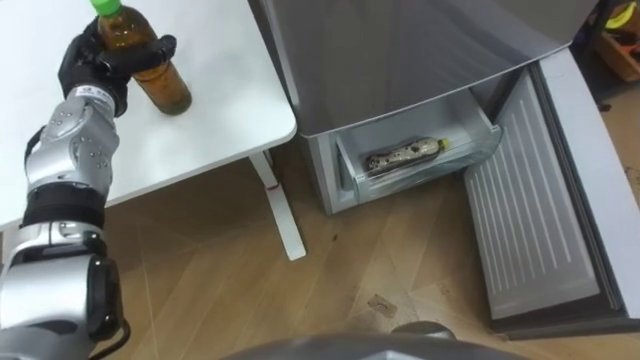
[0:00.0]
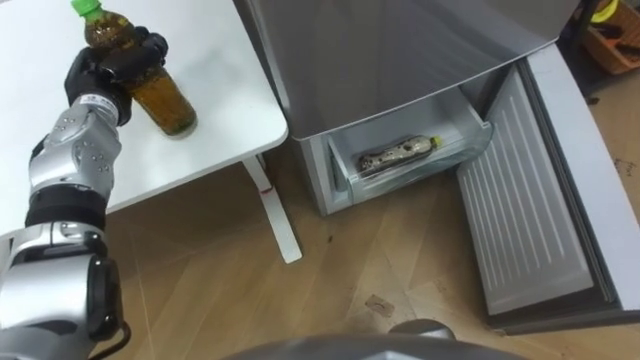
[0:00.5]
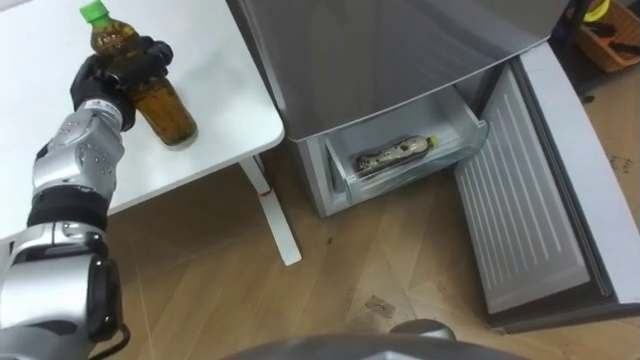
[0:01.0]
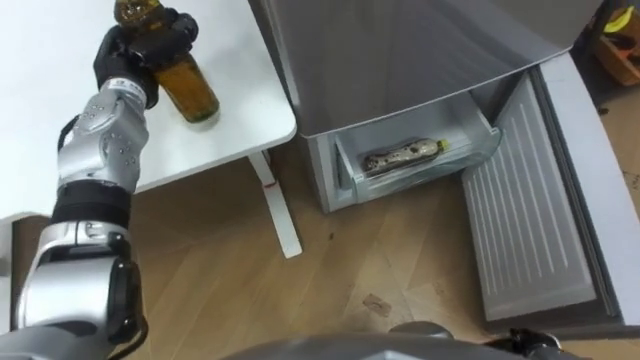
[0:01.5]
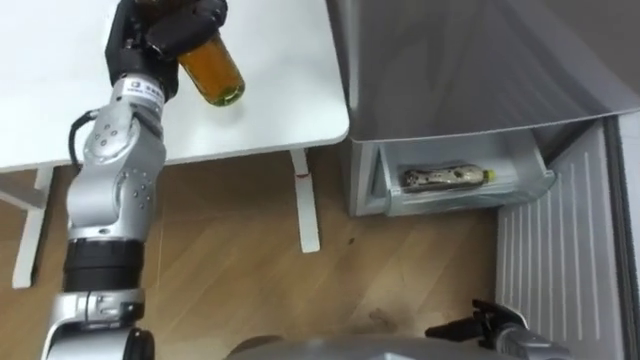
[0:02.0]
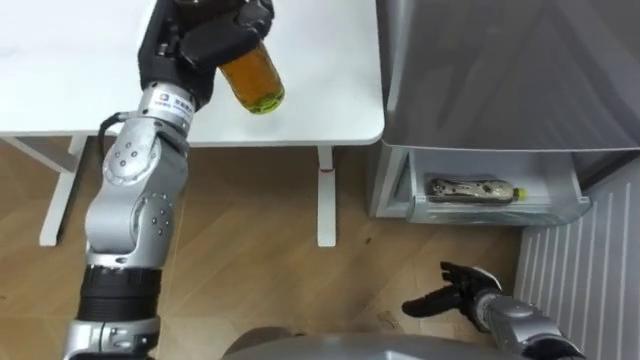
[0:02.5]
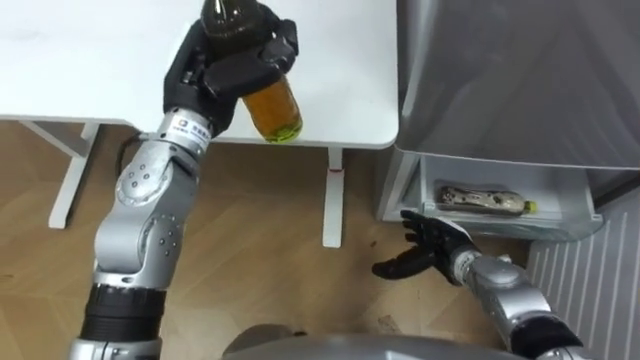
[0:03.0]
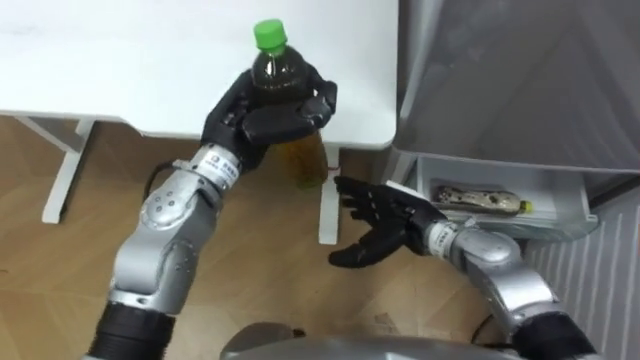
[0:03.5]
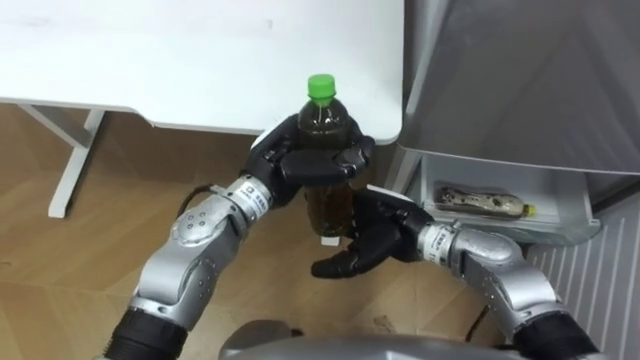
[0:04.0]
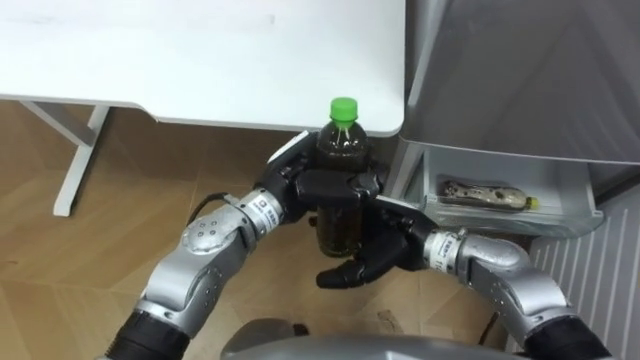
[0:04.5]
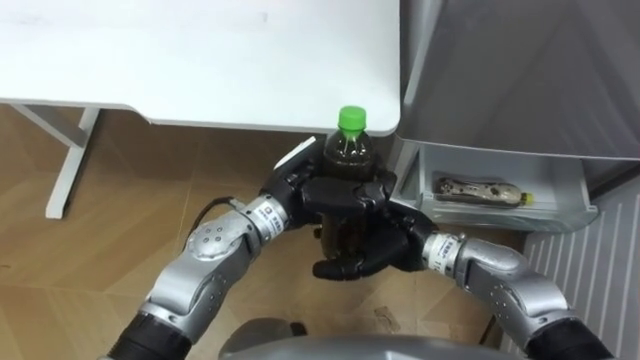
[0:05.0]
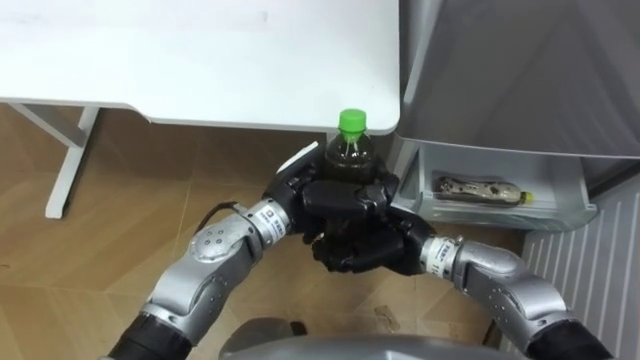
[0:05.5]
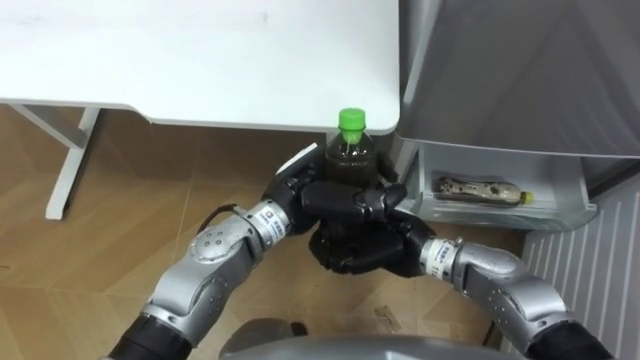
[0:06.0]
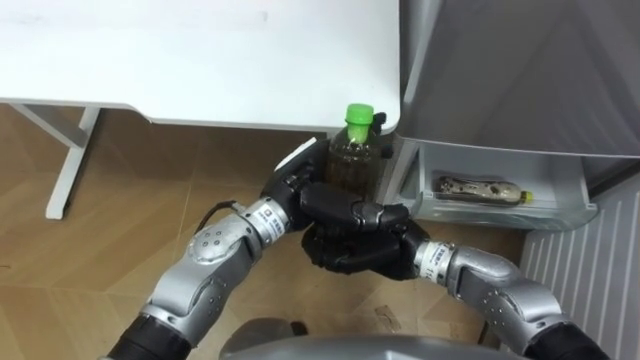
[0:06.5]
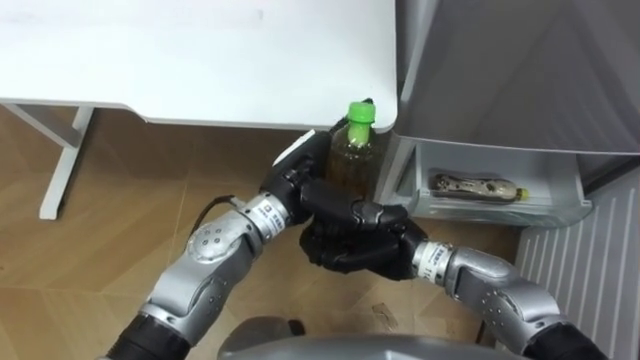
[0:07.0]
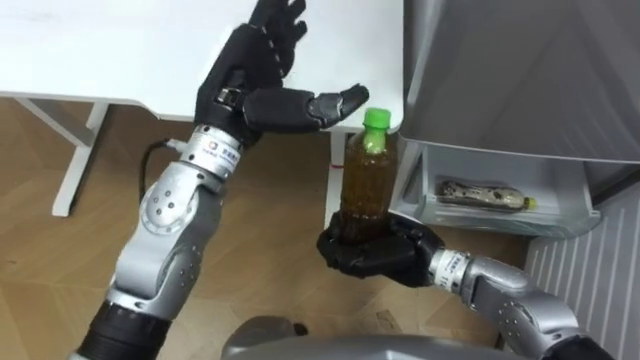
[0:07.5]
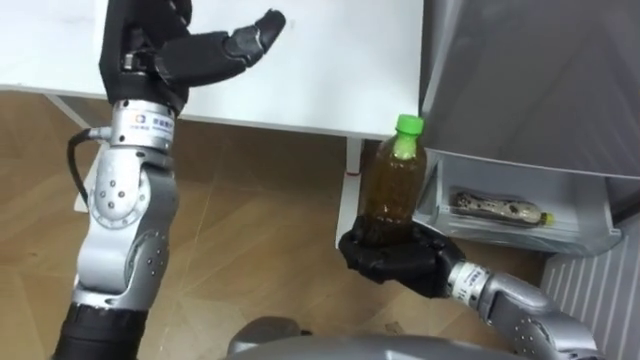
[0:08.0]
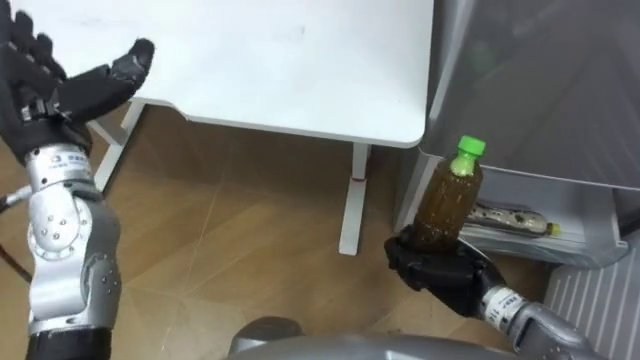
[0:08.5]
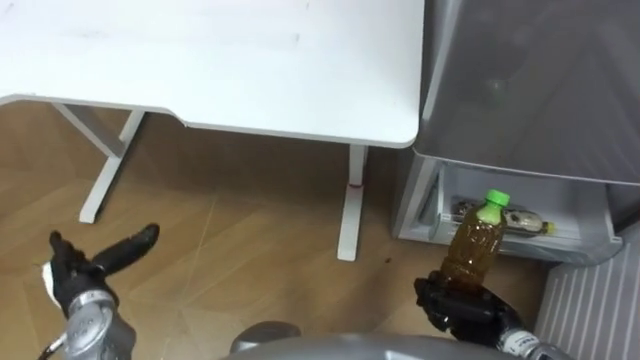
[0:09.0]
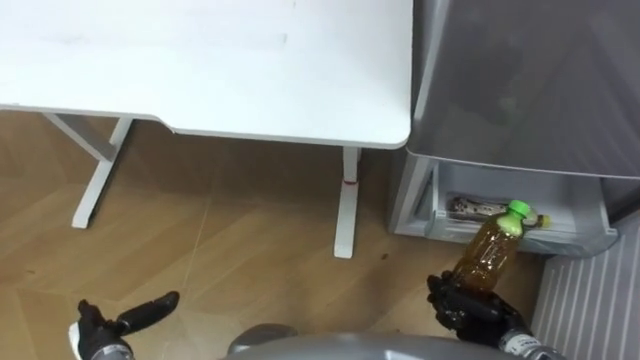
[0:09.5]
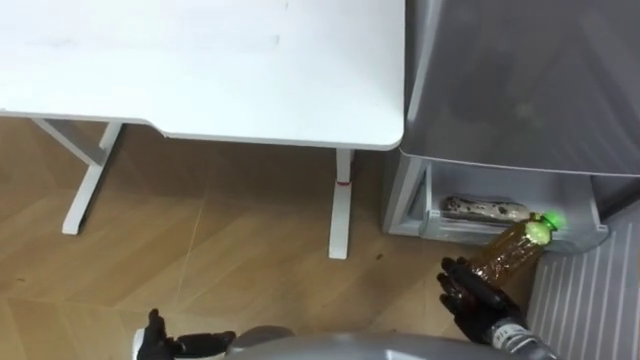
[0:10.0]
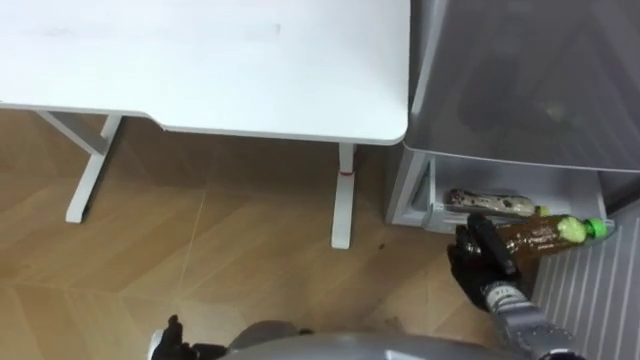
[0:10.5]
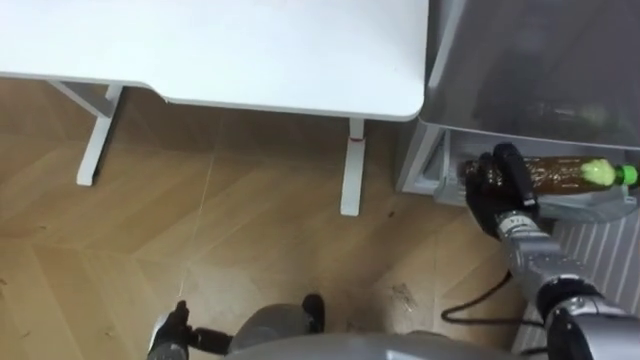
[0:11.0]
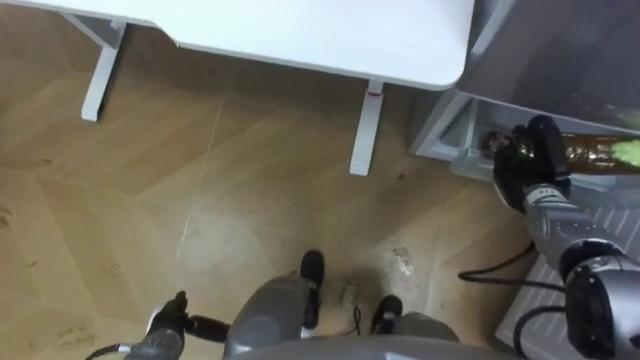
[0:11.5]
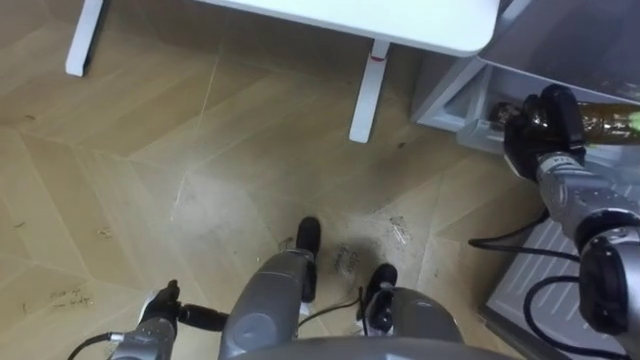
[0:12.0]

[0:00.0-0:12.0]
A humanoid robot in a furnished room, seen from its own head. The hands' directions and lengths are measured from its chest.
Task of the whole recording: Place the drink on the table on the bottom shelf of the refrigerator, then close the drawer and the refrigerator door.
0:00.0 to 0:02.0: The left hand moves to the right and upward, some 10 cm, and closes its fingers.
0:02.0 to 0:04.0: The left hand is displaced to the right, backward and downward by approximately 20 cm. Meanwhile the right hand is displaced to the left, upward and forward by roughly 25 cm.
0:04.0 to 0:06.0: The right hand closes up.
0:06.0 to 0:08.0: The left hand shifts about 20 cm upward and to the left, and opens up.
0:08.0 to 0:10.0: The right hand heads to the right, downward and backward, covering about 20 cm, while the left hand moves downward and backward, approximately 40 cm.
0:10.0 to 0:12.0: The right hand travels forward and upward by about 25 cm.

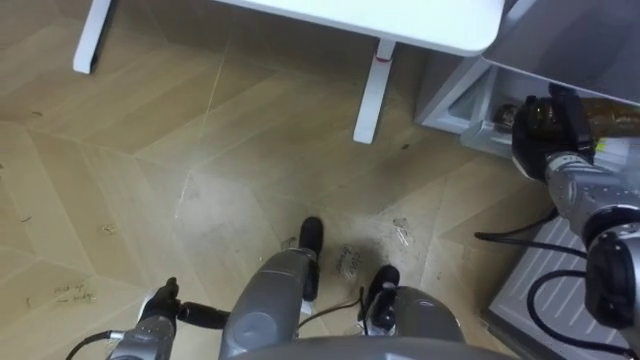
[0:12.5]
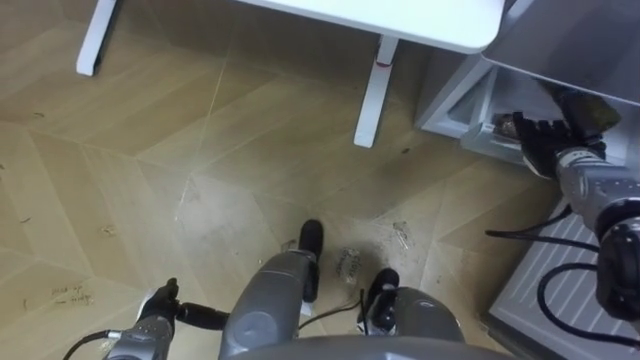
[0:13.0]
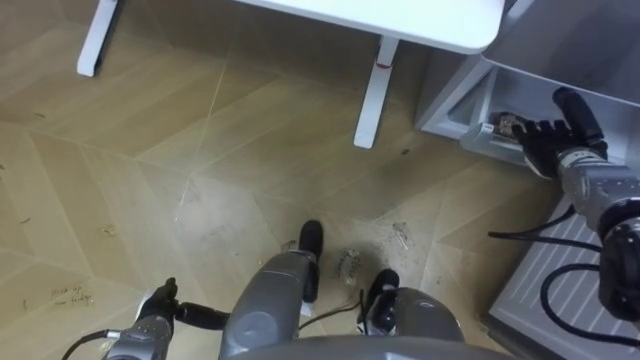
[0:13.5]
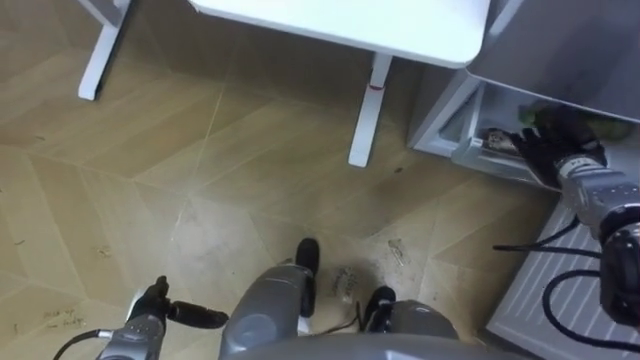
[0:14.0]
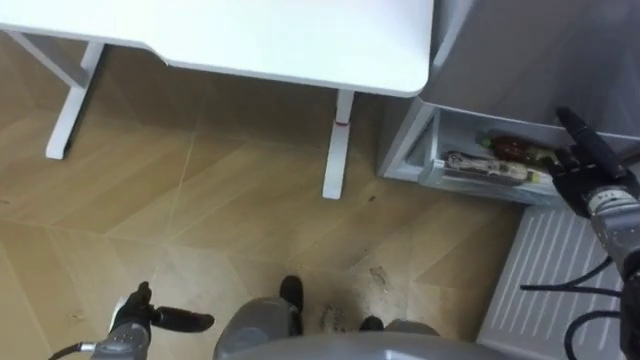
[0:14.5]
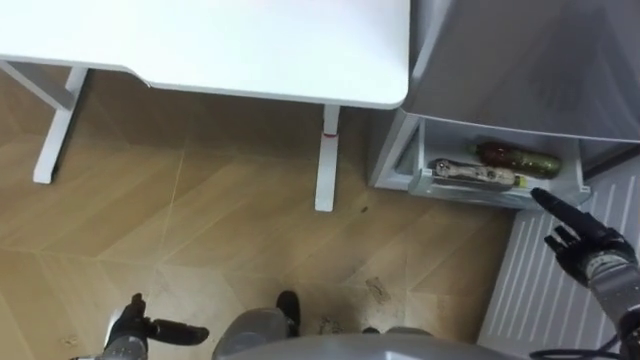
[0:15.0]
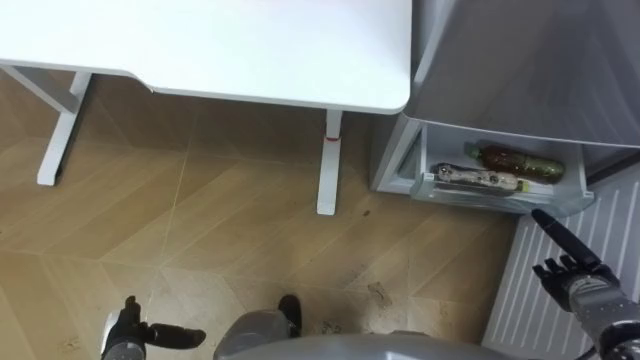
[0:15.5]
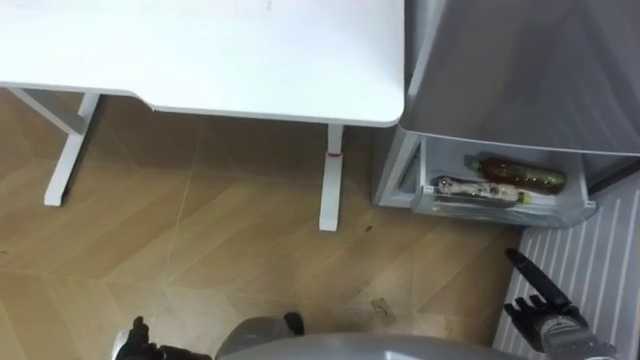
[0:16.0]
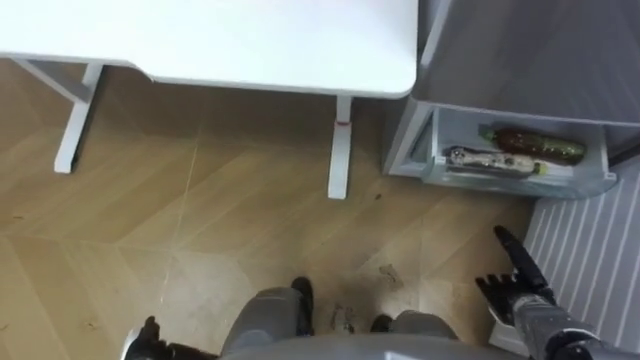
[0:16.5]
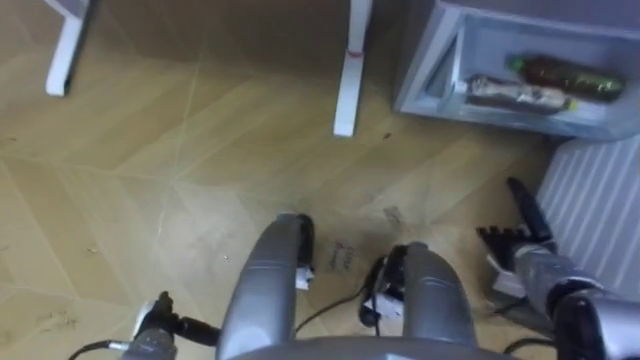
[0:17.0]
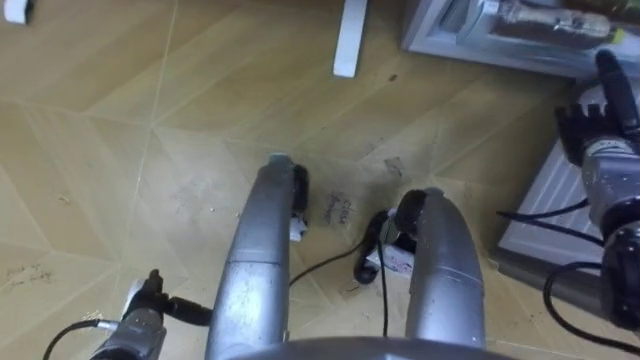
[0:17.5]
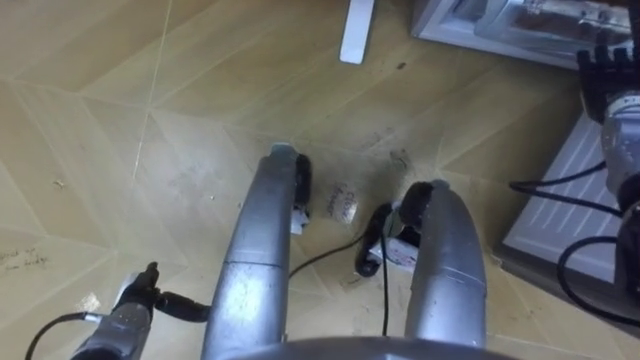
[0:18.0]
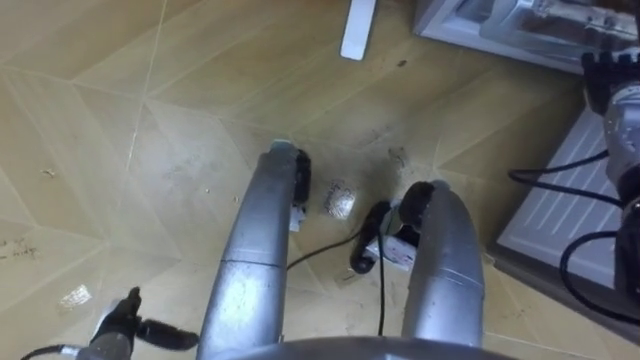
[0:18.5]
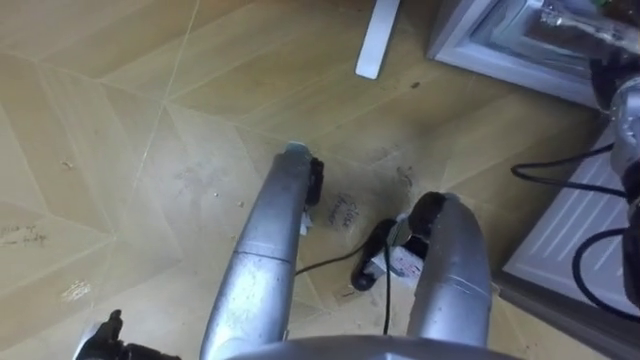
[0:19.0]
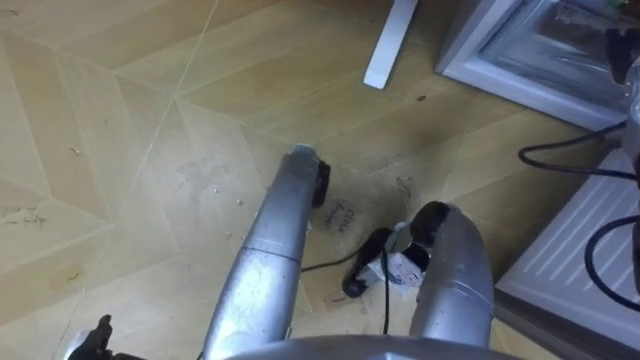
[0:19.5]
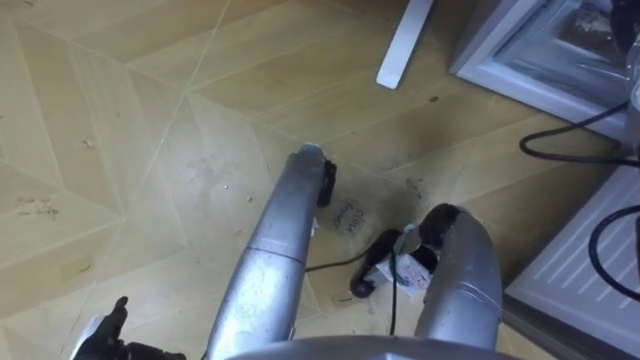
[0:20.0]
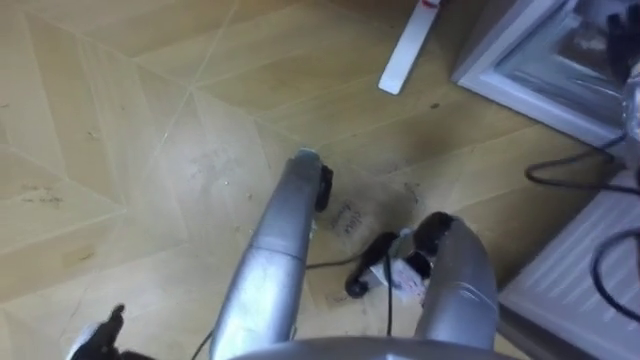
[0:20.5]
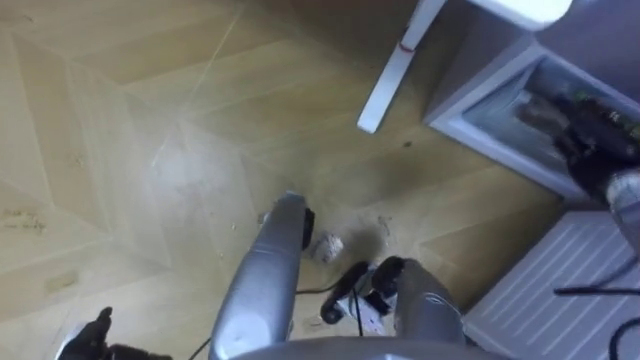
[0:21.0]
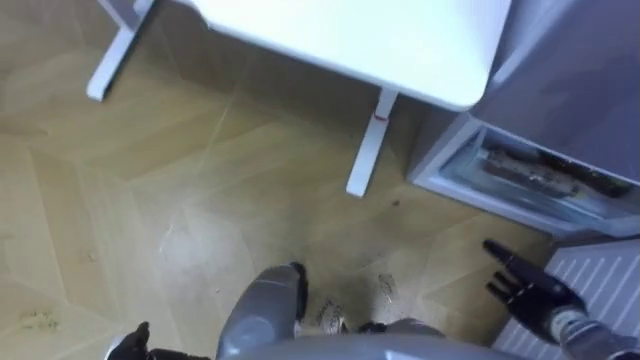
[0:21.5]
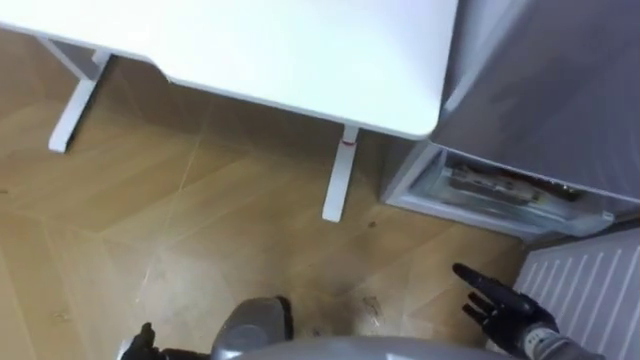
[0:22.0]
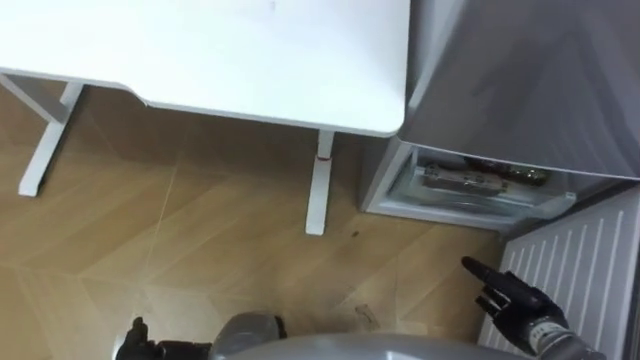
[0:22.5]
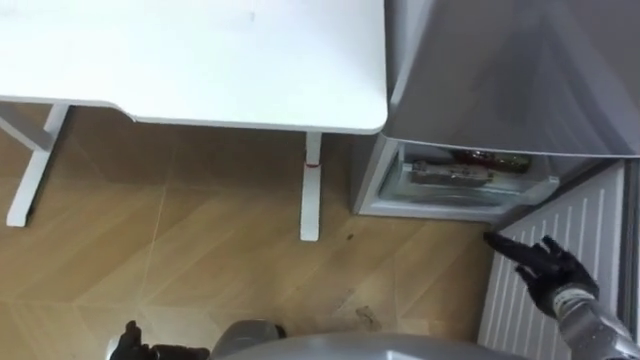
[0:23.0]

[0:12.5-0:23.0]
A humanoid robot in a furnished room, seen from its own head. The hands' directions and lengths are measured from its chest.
Task of the whole recording: Place the drink on the table on the bottom shelf of the refrigerator, then close the drawer and the refrigerator door.
0:12.5 to 0:14.5: The right hand moves to the right, about 5 cm, and opens up.
0:14.5 to 0:16.5: The right hand goes some 20 cm backward, downward and to the left.
0:16.5 to 0:19.0: The right hand shifts approximately 35 cm forward and upward.
0:19.0 to 0:21.0: The right hand goes approximately 10 cm downward and backward.
0:21.0 to 0:23.0: The right hand moves backward and downward, some 15 cm.
